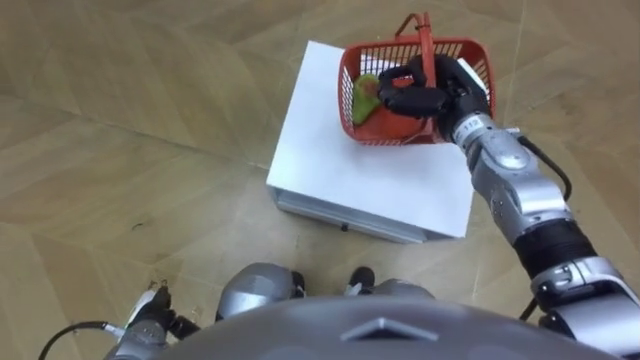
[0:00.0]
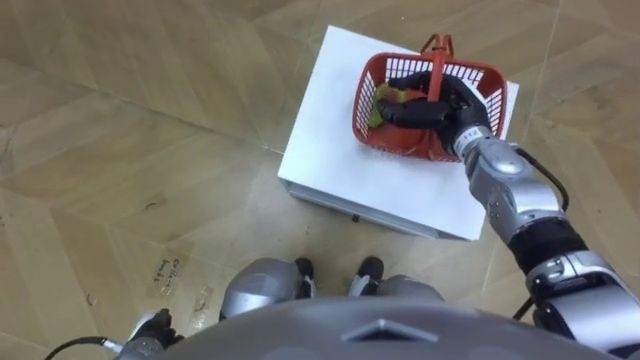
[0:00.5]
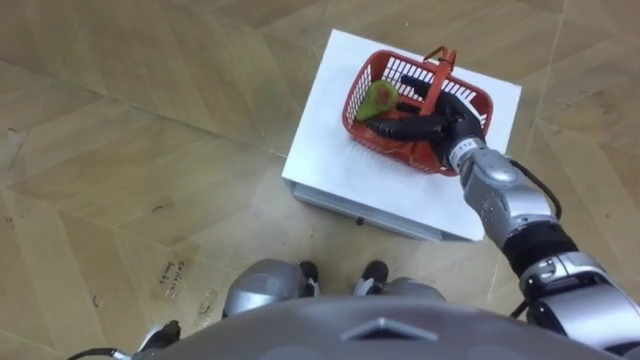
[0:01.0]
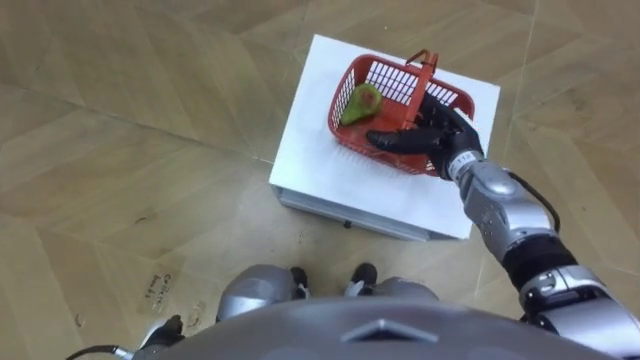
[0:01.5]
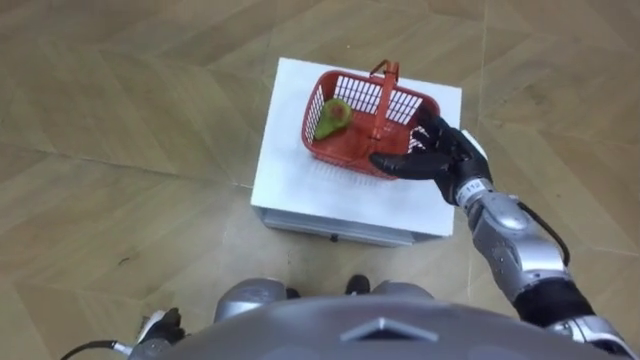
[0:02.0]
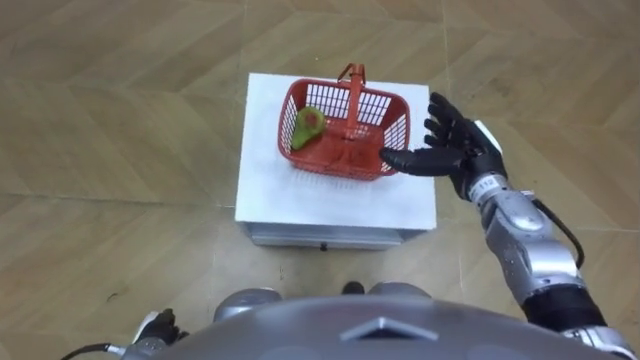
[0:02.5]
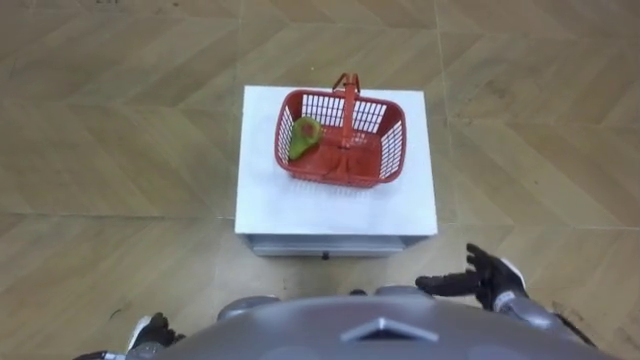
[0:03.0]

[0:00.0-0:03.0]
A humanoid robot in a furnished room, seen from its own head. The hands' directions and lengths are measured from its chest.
Task of the whole recording: Pick up the fruit basket from the floor and place it on the cabinet.
0:00.0 to 0:01.5: The right hand is displaced downward by some 5 cm, and opens its fingers.
0:01.5 to 0:03.0: The right hand is displaced backward, downward and to the right by some 25 cm.

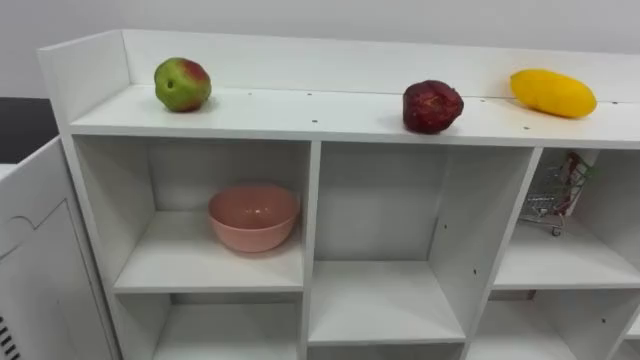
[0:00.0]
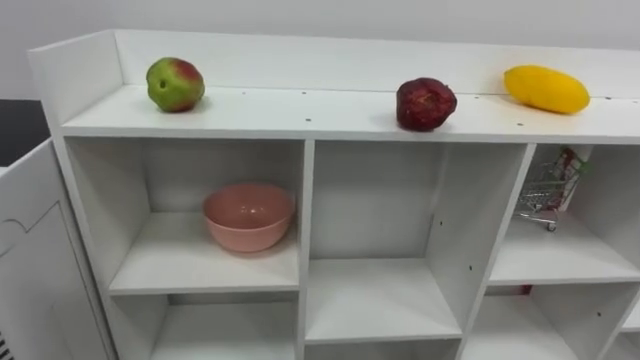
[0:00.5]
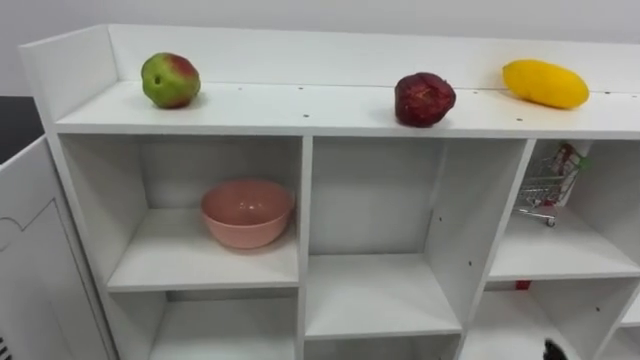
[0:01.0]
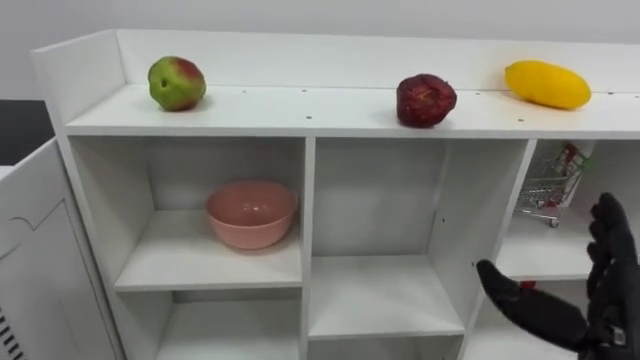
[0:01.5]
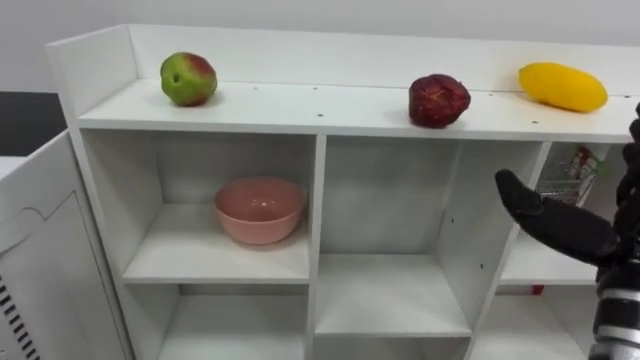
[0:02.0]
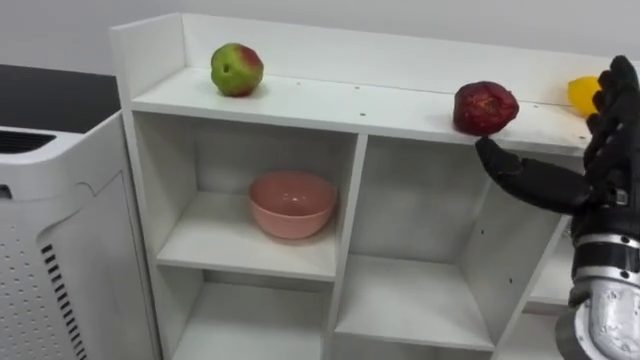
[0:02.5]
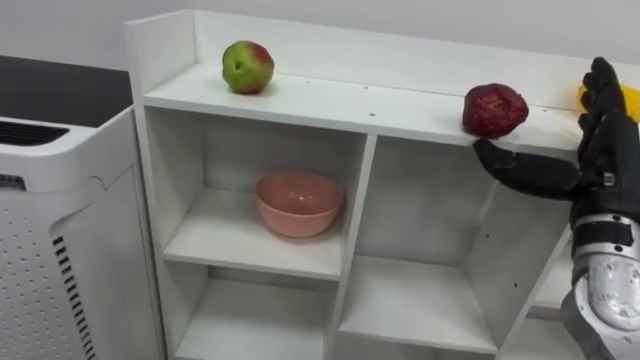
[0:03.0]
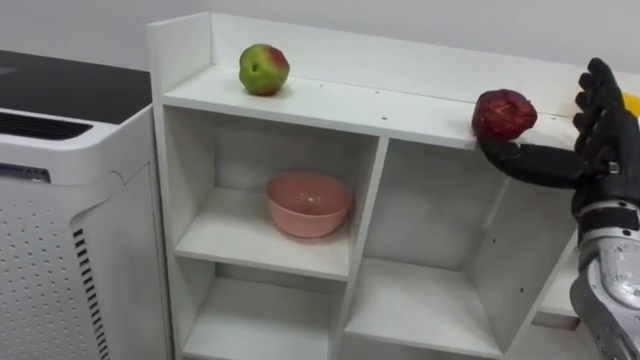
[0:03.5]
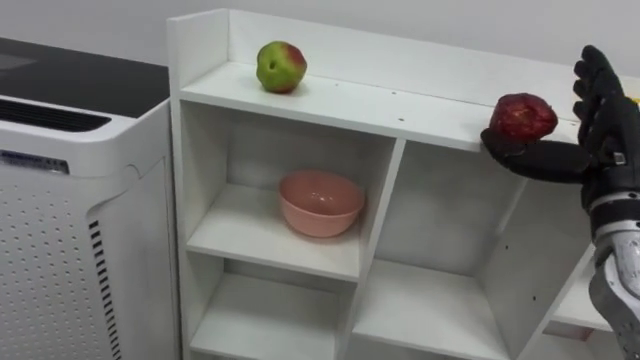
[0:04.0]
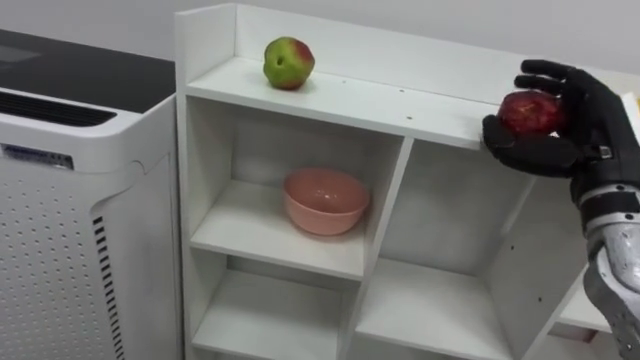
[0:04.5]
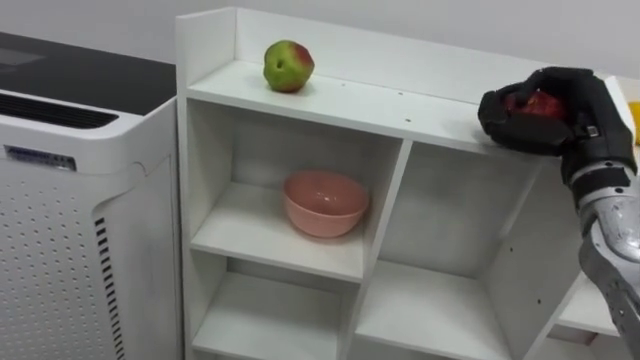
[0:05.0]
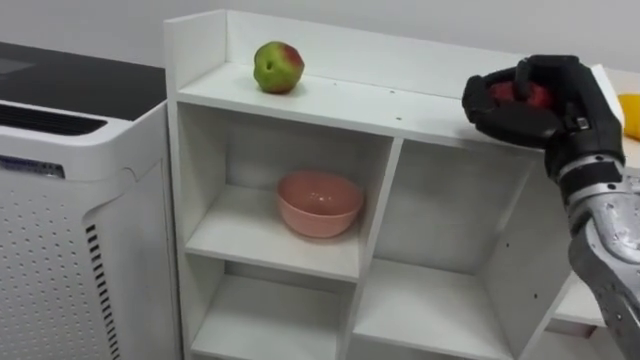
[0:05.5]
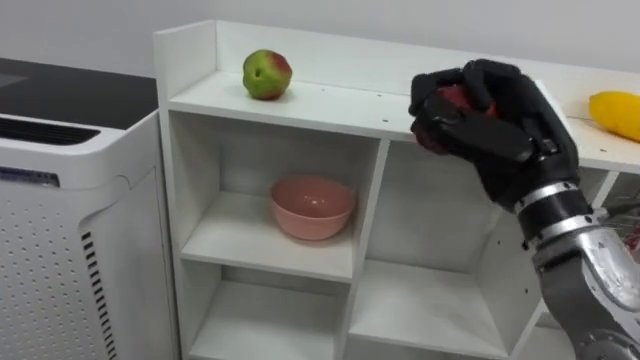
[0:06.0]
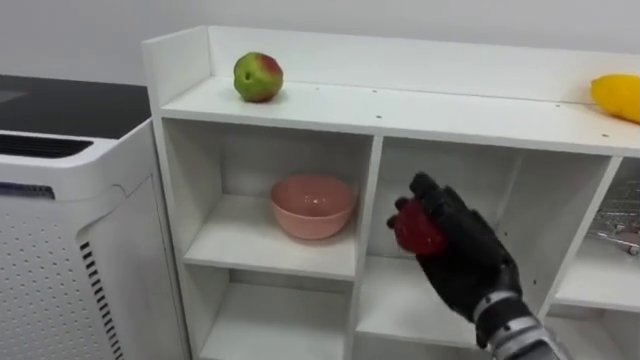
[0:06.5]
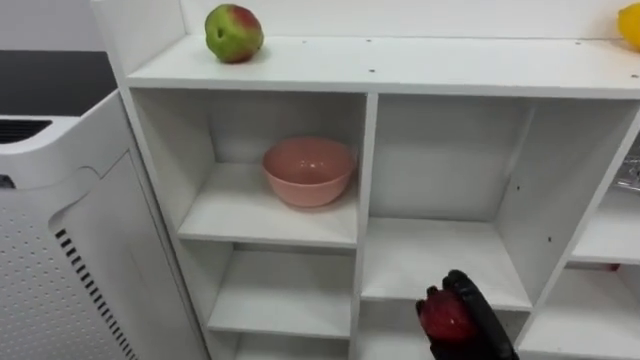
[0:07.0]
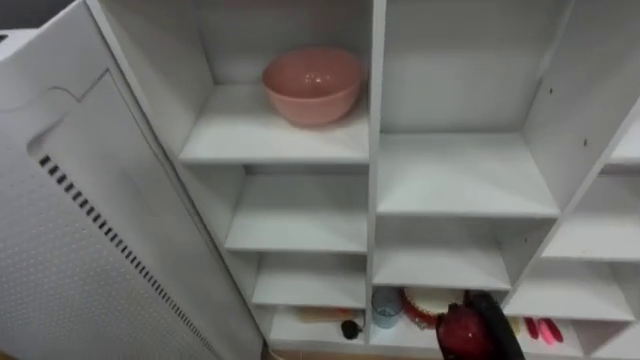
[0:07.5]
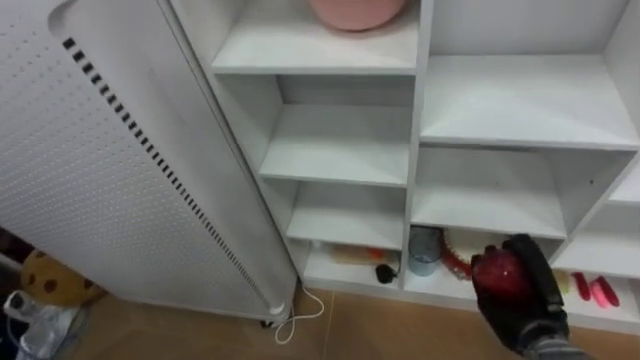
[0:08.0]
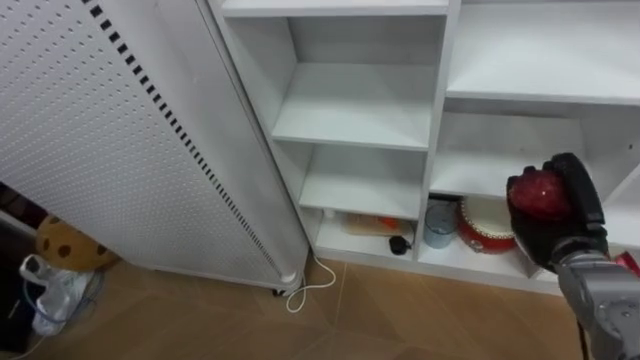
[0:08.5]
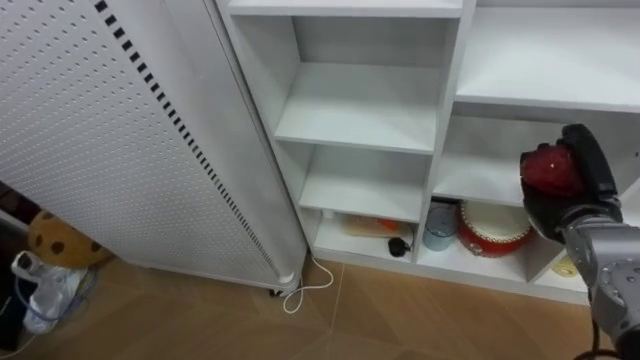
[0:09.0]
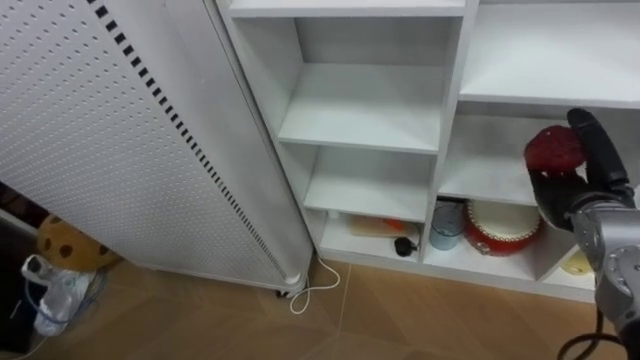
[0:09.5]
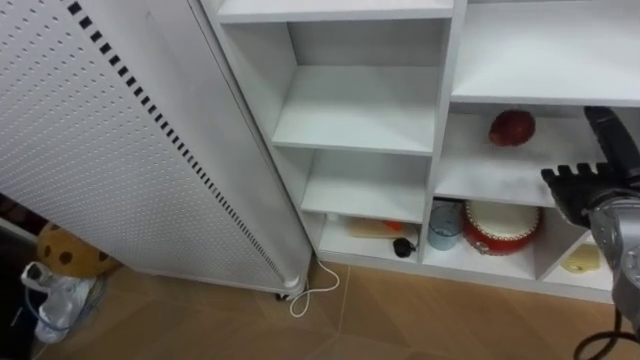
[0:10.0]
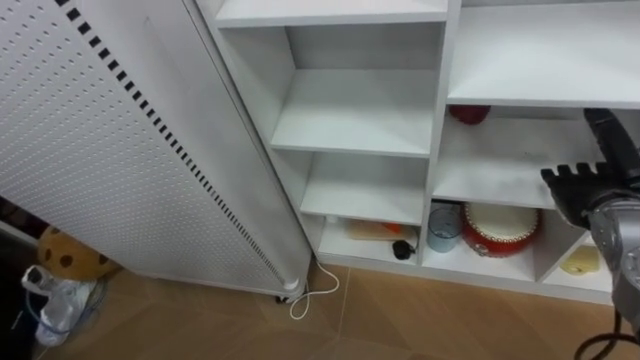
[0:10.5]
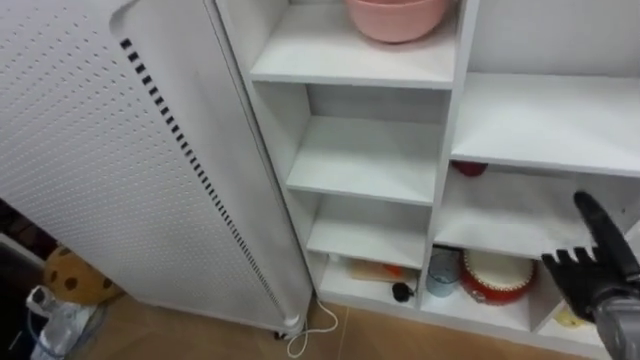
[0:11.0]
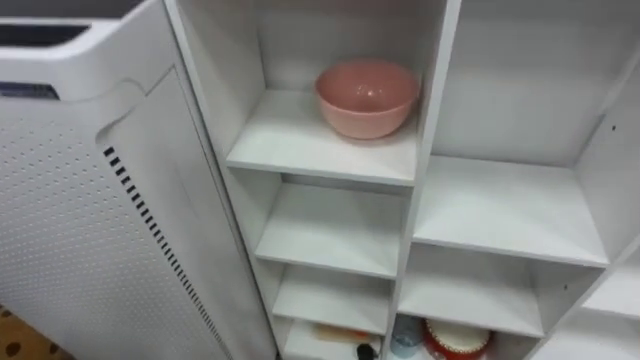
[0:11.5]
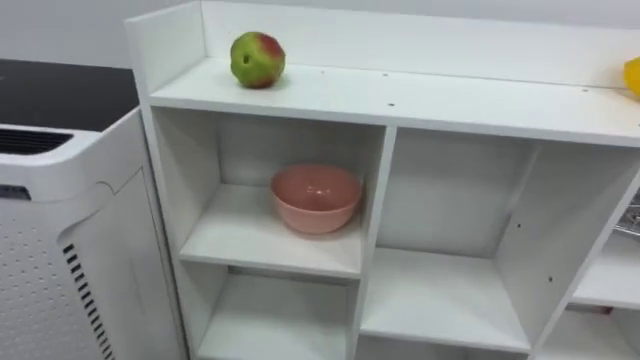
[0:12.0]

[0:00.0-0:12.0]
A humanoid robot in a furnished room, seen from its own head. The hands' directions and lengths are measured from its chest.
Task of the whole recording: Put the apple in the cell in the second column from the left and the second row from the top.
0:02.0 to 0:04.0: The right hand moves forward, approximately 10 cm.
0:04.0 to 0:06.0: The right hand travels to the left by about 10 cm, and closes its fingers.
0:08.0 to 0:10.0: The right hand is displaced upward and to the right by about 20 cm, and opens.
